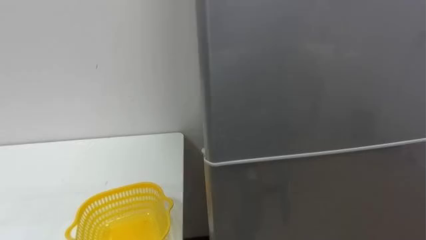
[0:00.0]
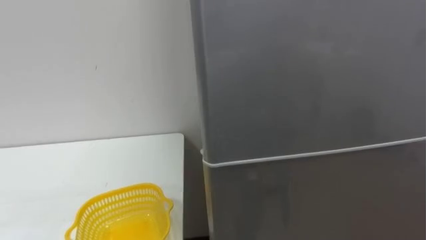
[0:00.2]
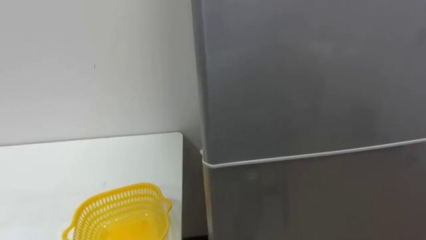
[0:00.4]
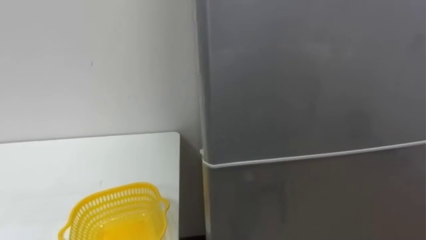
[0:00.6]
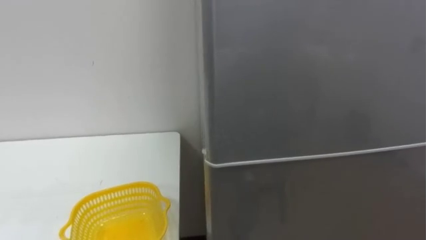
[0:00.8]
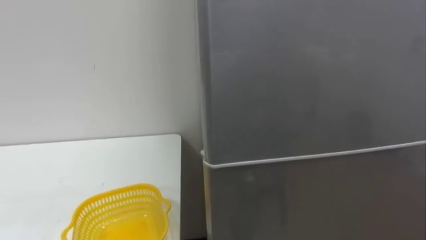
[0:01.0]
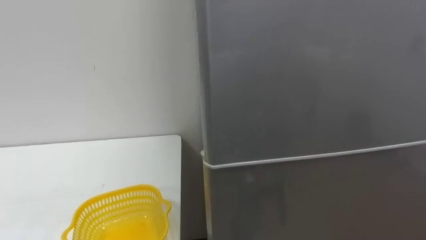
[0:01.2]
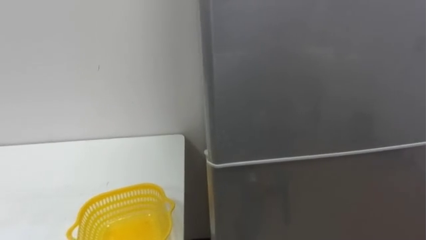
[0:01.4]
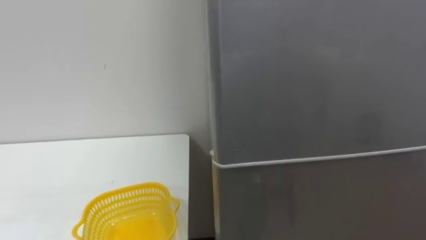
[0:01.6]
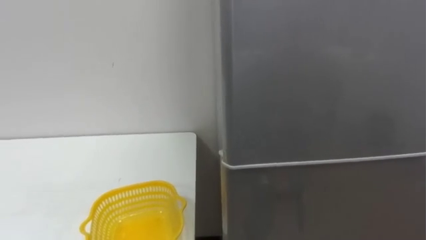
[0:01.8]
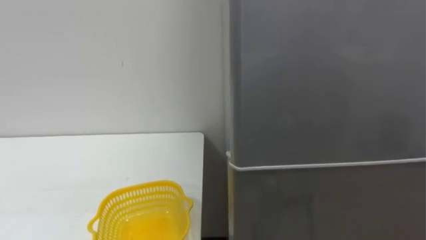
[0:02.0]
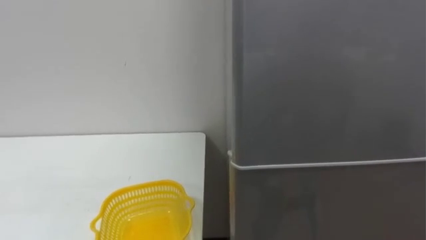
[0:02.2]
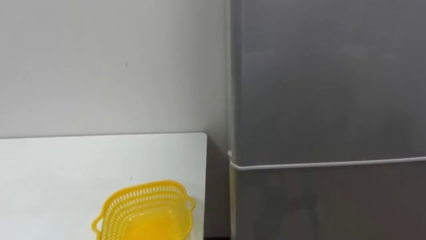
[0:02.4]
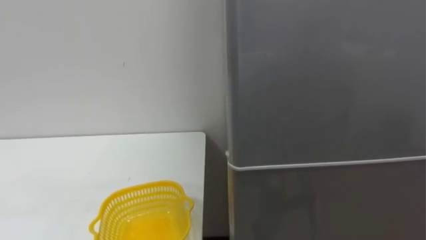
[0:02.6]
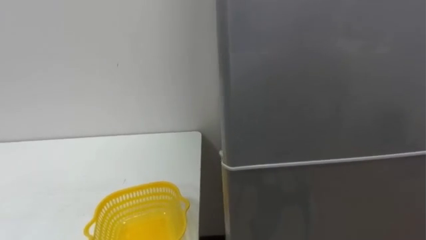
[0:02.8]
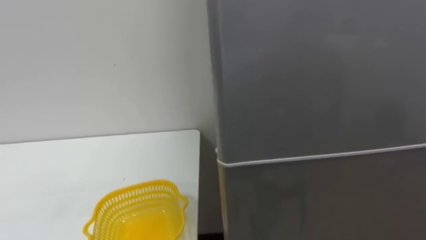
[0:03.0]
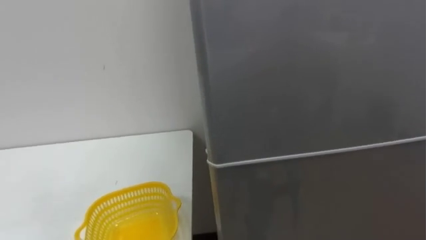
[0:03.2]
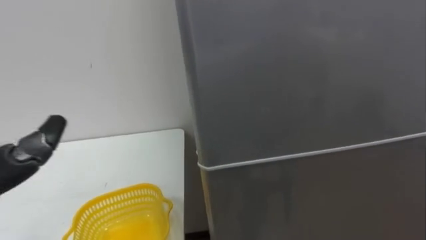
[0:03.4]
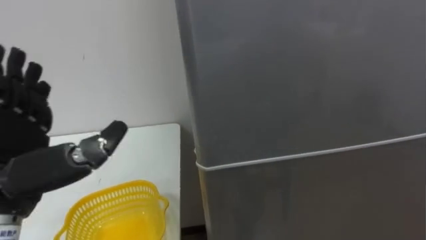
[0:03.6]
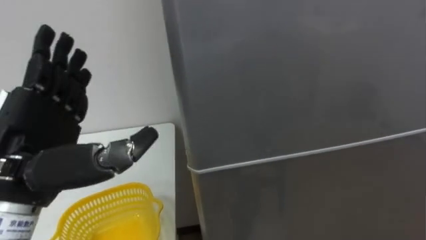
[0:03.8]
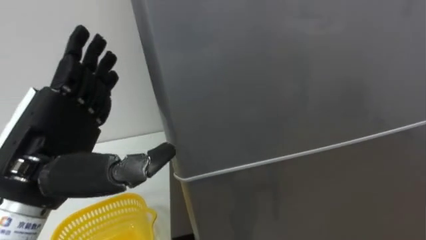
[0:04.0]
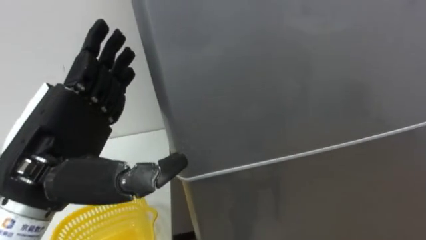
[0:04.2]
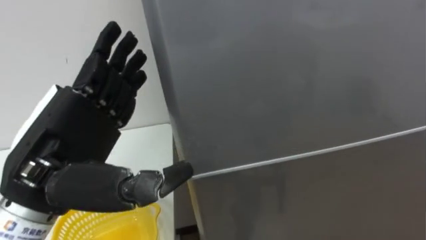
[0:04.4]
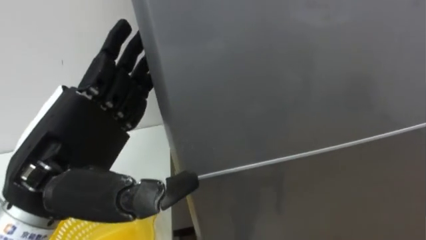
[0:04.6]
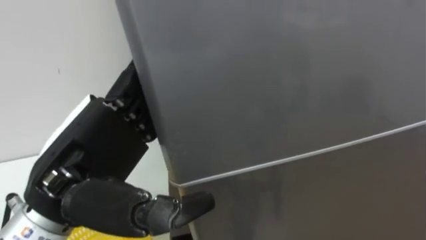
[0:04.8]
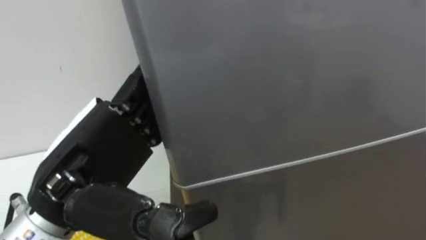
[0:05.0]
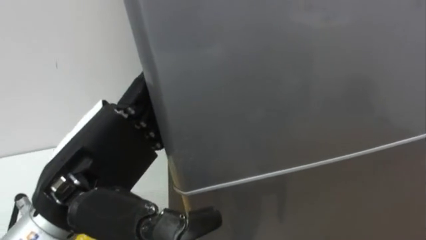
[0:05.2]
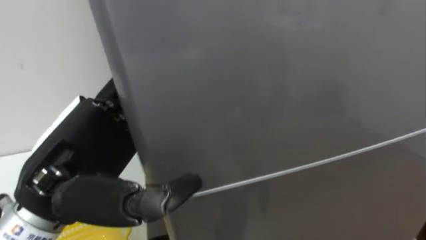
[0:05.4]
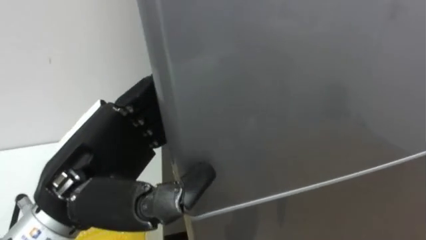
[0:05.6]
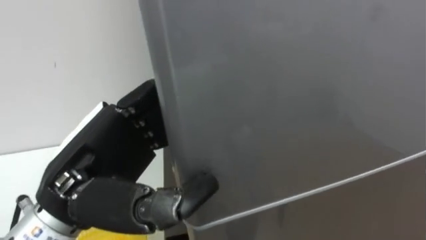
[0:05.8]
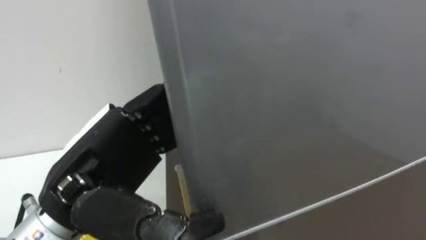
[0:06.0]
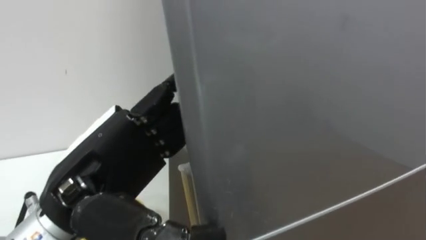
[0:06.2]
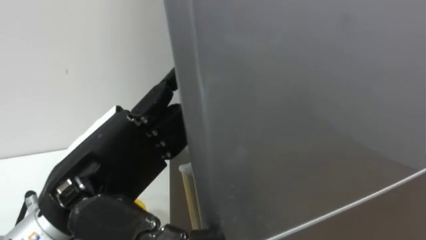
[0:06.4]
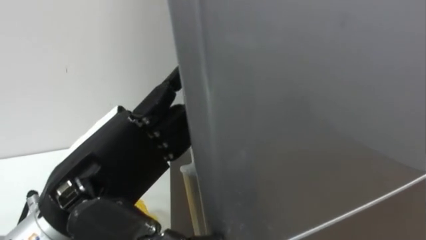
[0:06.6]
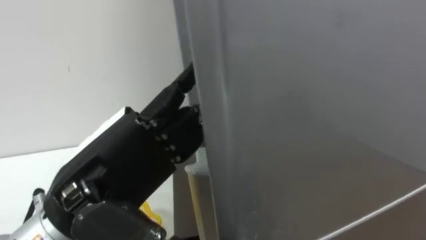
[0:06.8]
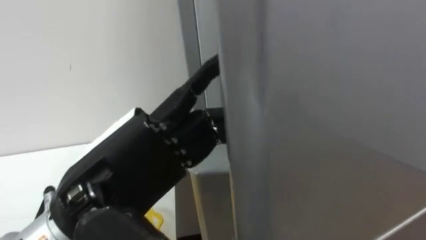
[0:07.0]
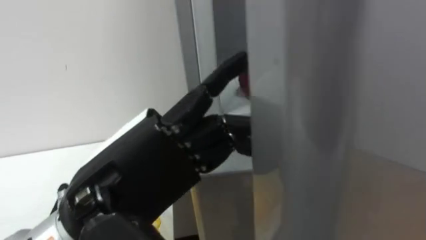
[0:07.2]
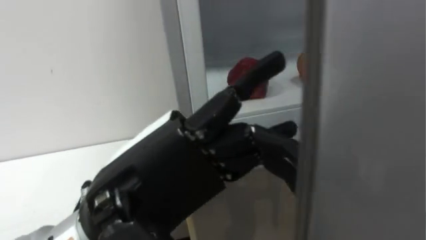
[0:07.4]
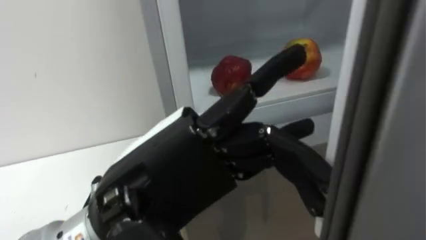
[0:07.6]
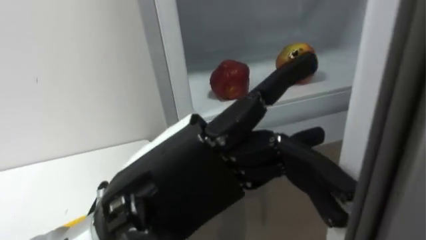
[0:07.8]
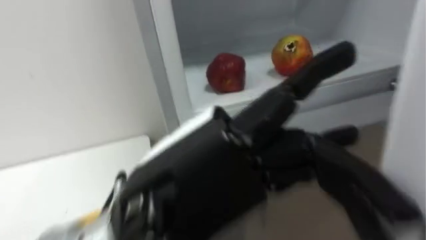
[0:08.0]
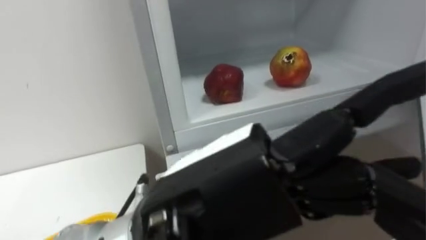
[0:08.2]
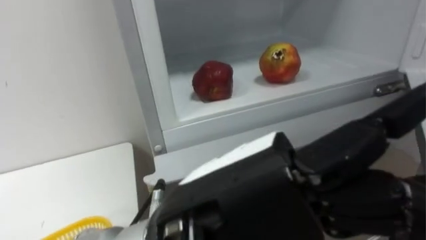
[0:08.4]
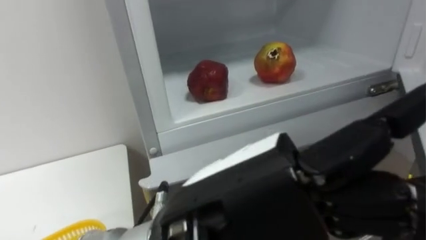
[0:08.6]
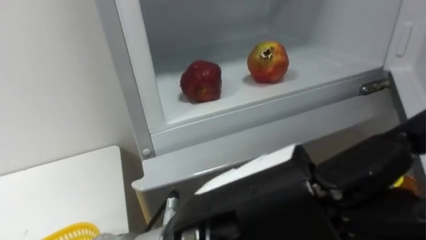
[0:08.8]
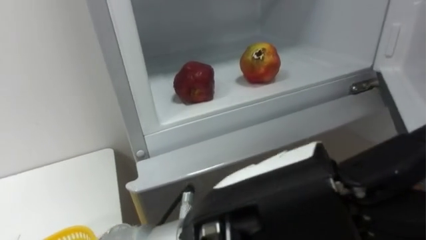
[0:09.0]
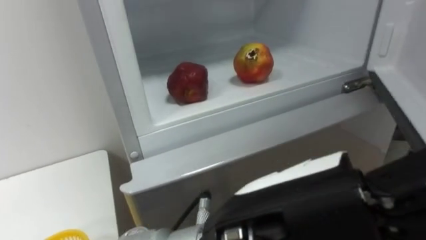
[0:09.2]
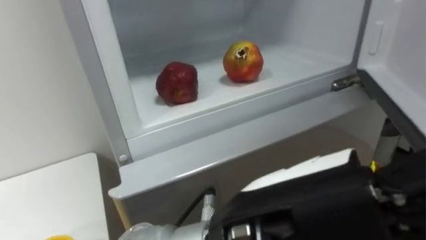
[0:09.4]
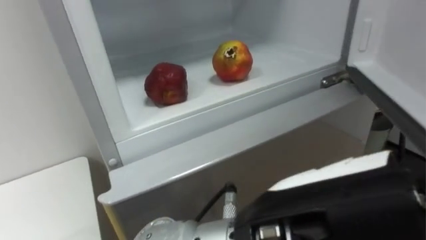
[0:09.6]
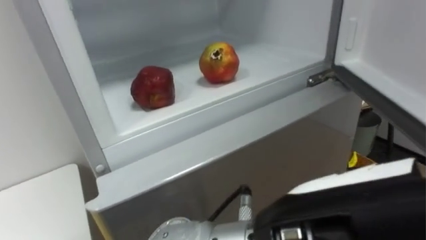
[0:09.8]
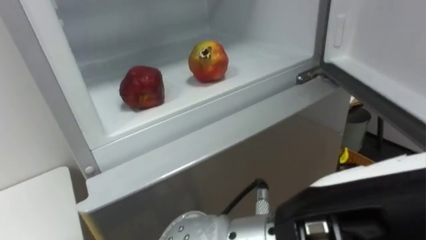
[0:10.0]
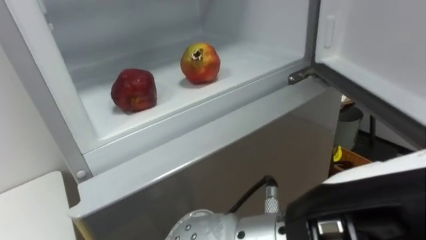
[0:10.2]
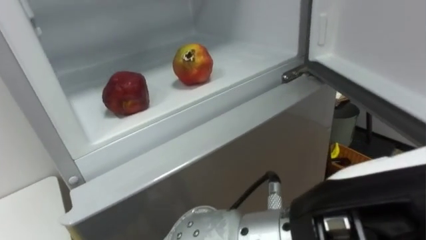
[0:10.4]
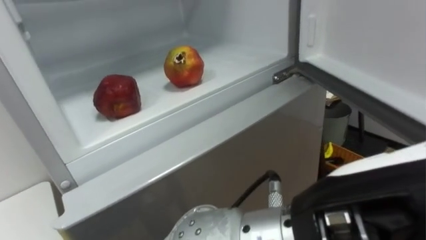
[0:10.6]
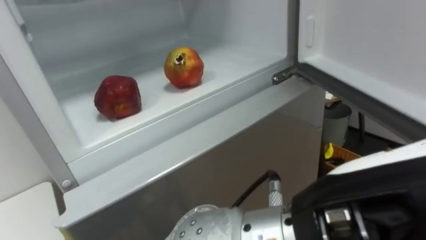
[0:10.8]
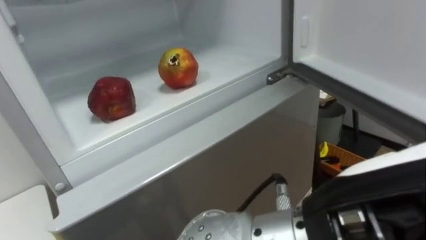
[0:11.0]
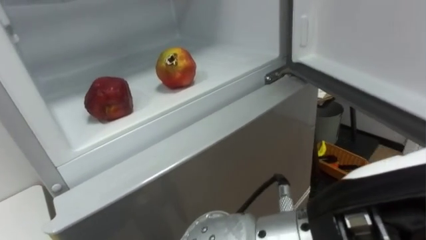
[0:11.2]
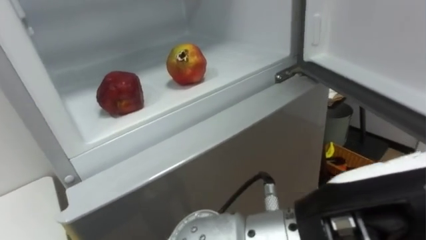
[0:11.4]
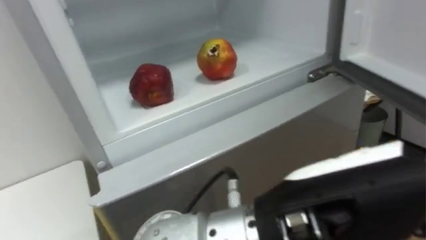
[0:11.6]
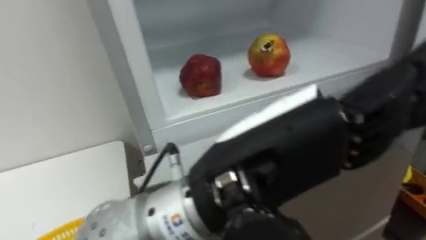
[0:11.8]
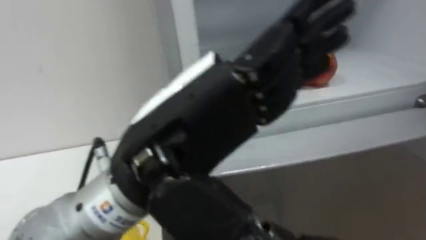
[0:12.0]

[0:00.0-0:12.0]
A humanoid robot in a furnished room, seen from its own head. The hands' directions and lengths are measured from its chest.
Task of the whole recording: Open the refrigerator door, take out the apple and the pomegranate, place them in the fruit basket on the left, and close the refrigerator door.
0:06.0 to 0:07.6: The left hand goes some 5 cm to the right.
0:07.6 to 0:09.0: The left hand travels to the right by approximately 5 cm.
0:09.0 to 0:10.4: The left hand heads to the right, covering some 5 cm.
0:10.4 to 0:12.0: The left hand heads to the left and forward, covering approximately 15 cm.

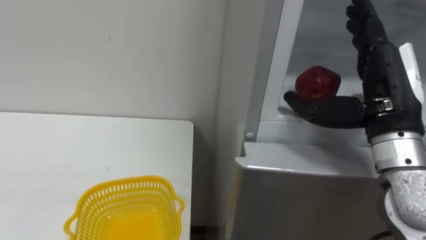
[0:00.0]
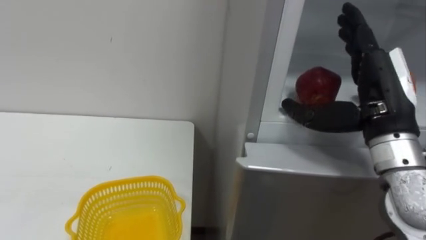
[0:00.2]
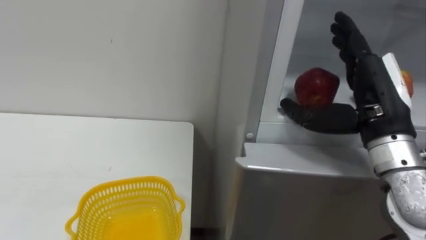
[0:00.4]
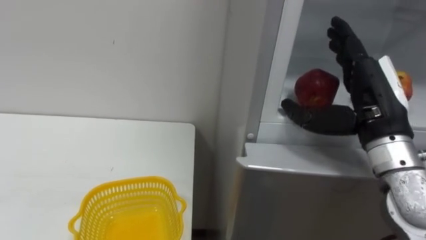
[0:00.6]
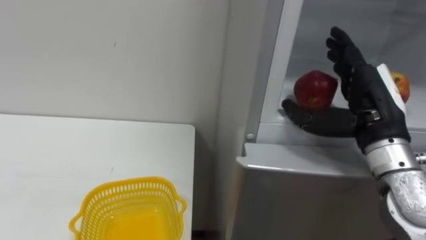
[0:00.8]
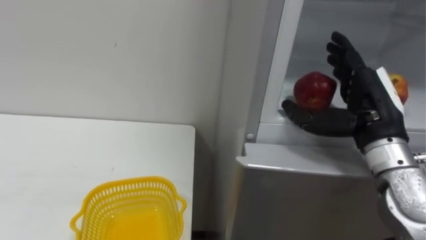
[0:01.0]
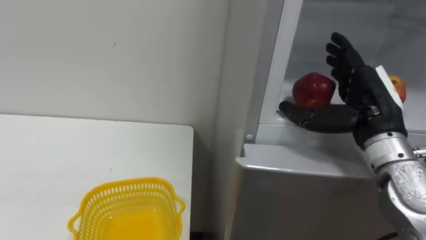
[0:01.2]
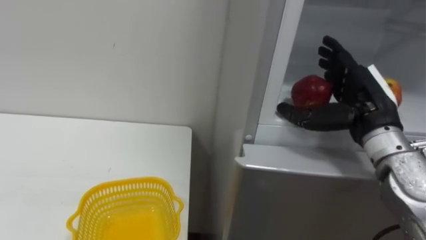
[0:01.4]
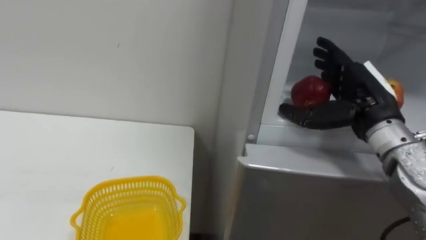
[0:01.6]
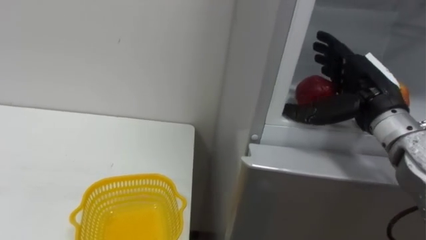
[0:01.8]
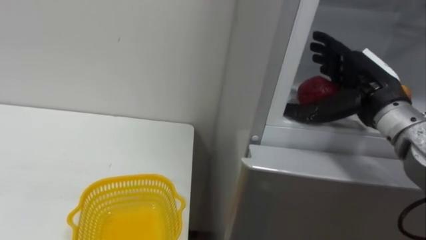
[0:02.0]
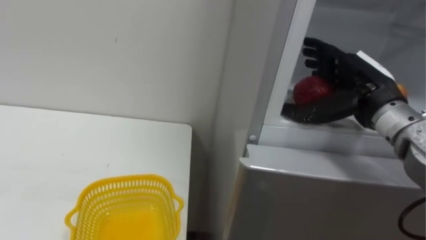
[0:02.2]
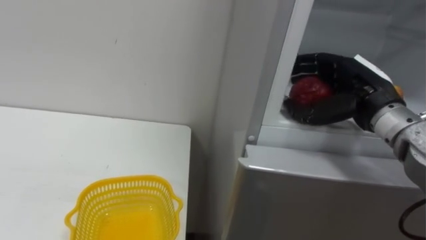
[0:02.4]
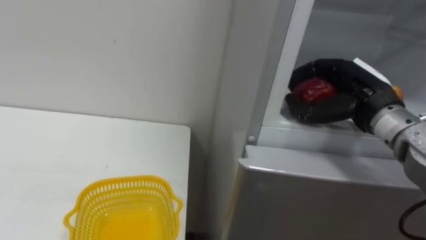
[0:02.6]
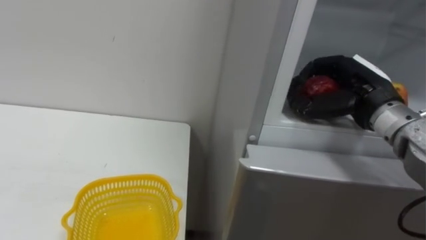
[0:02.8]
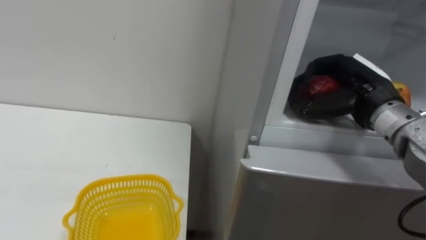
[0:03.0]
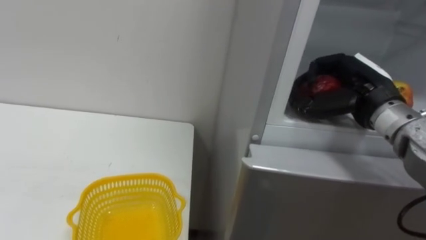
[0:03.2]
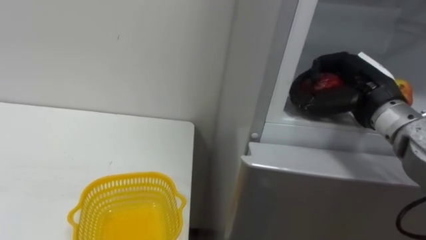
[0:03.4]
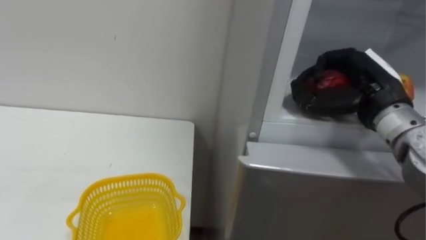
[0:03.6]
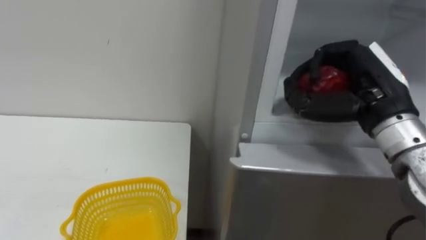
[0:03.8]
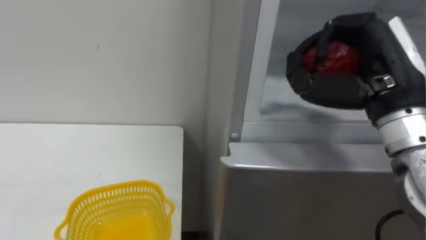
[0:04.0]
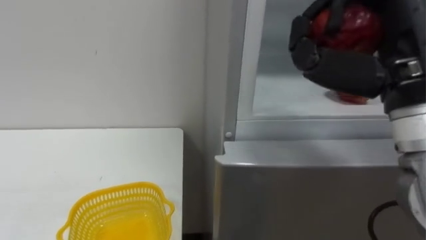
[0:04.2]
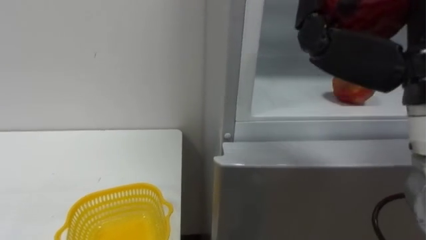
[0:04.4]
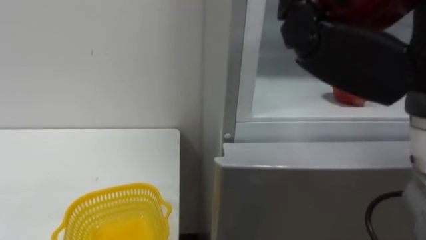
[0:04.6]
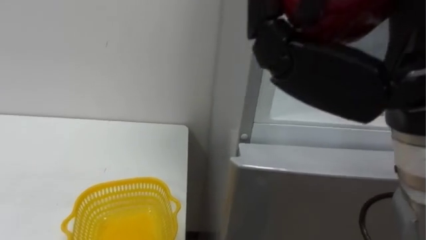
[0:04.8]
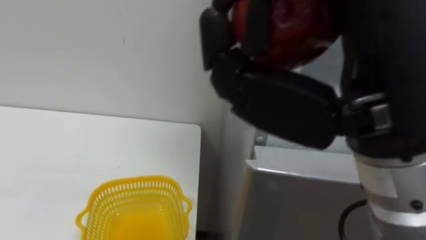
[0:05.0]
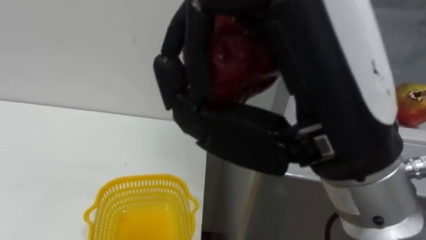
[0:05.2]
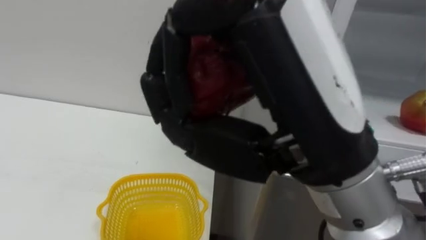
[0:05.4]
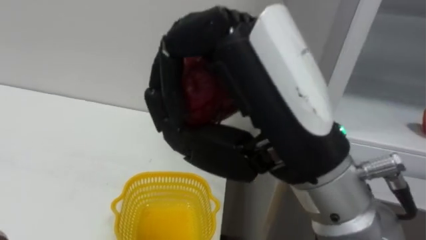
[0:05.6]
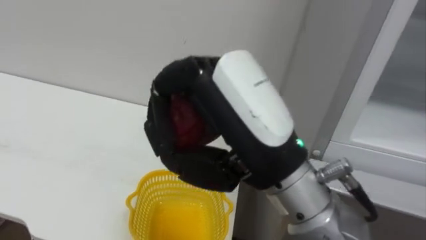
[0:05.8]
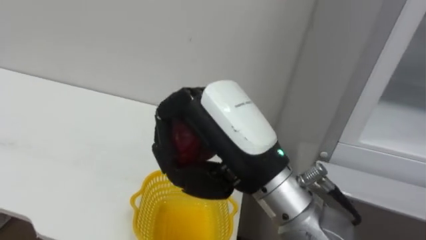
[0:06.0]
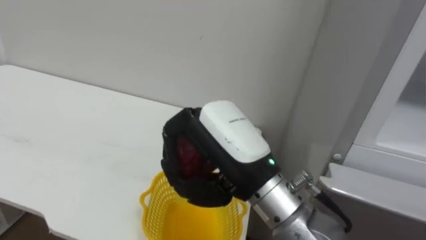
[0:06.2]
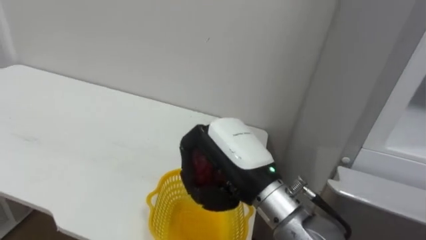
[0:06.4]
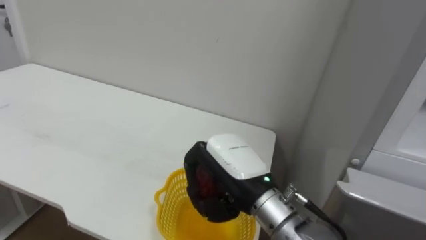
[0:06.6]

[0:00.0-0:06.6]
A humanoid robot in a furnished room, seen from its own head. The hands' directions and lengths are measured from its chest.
Task of the whole recording: Open the refrigerator door, take out the apple and the pomegranate, place them in the fruit basket on the left, and close the refrigerator door.
0:00.0 to 0:01.6: The right hand goes about 5 cm forward.
0:01.6 to 0:03.2: The right hand closes up.
0:03.2 to 0:05.0: The right hand goes some 25 cm backward, upward and to the left.
0:05.0 to 0:06.6: The right hand heads downward and forward, covering approximately 25 cm.
